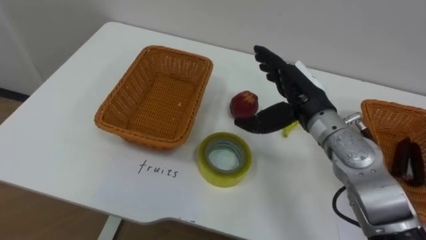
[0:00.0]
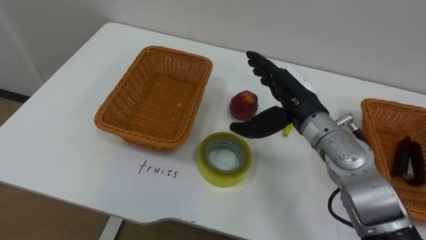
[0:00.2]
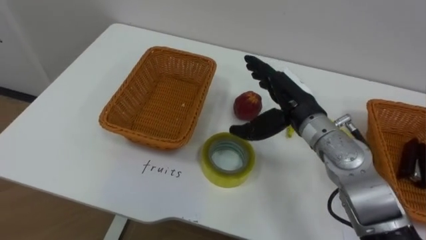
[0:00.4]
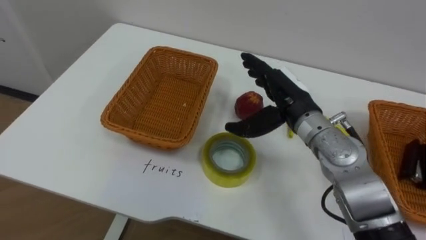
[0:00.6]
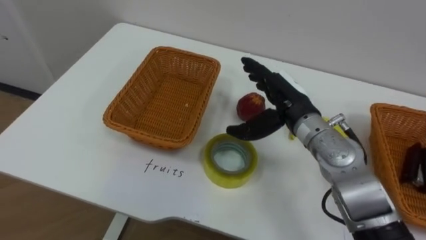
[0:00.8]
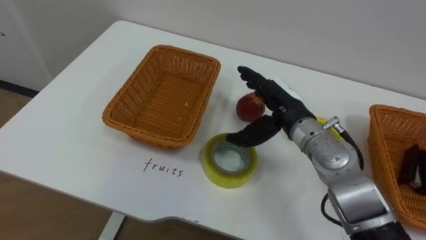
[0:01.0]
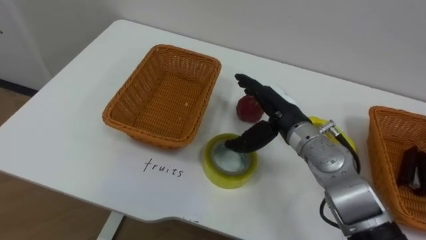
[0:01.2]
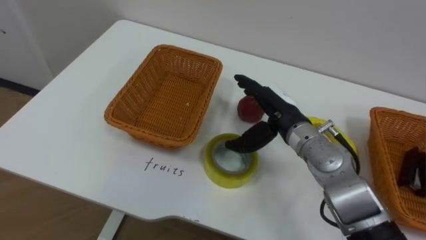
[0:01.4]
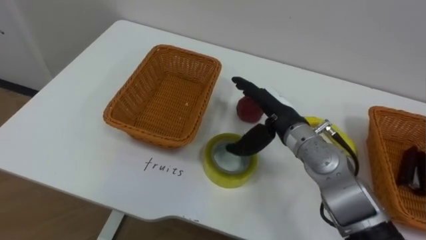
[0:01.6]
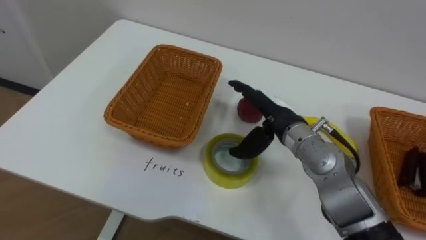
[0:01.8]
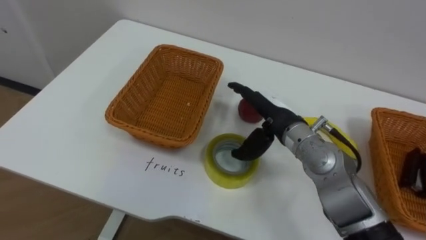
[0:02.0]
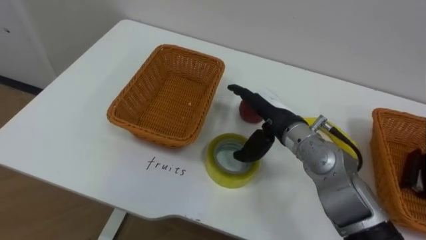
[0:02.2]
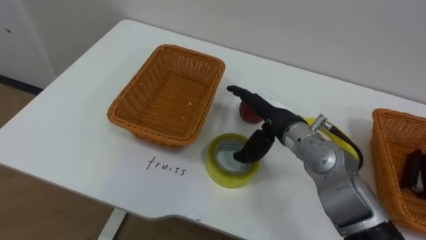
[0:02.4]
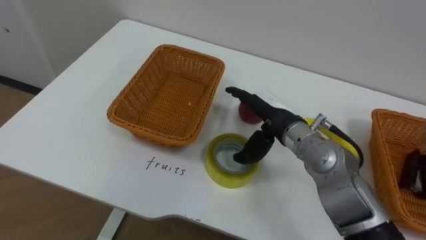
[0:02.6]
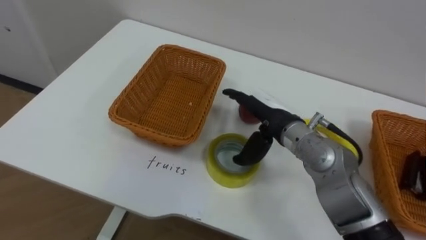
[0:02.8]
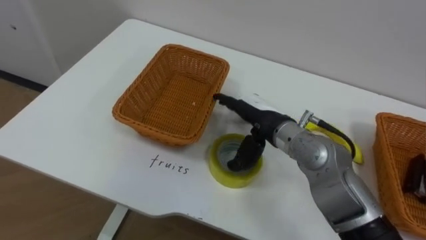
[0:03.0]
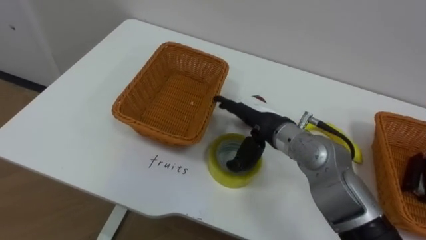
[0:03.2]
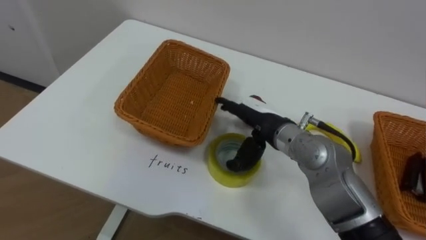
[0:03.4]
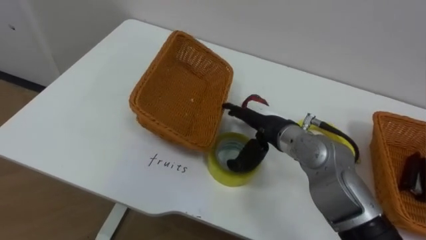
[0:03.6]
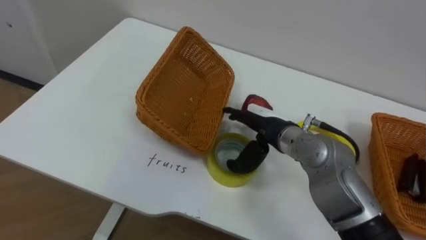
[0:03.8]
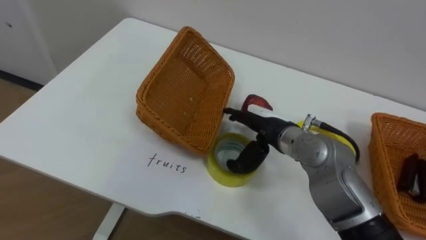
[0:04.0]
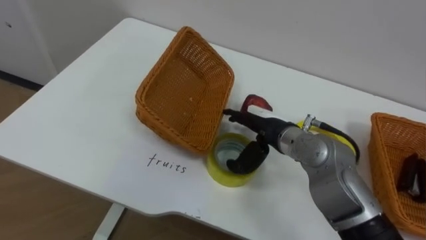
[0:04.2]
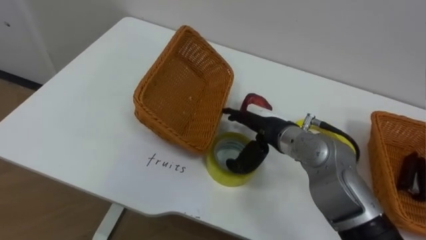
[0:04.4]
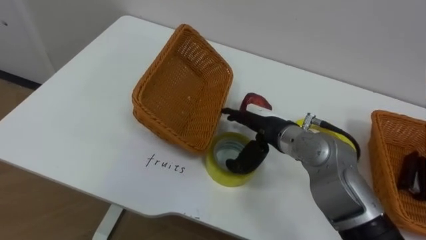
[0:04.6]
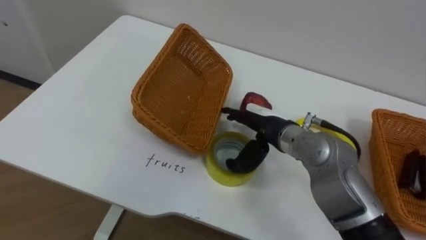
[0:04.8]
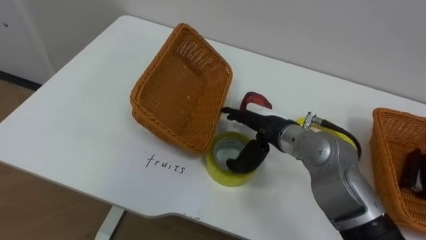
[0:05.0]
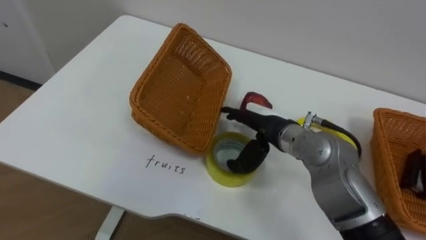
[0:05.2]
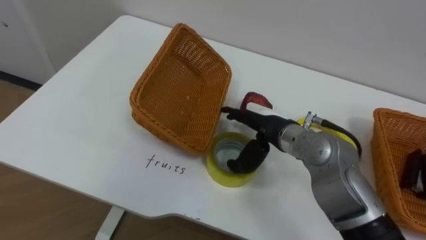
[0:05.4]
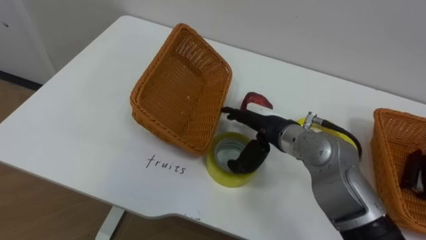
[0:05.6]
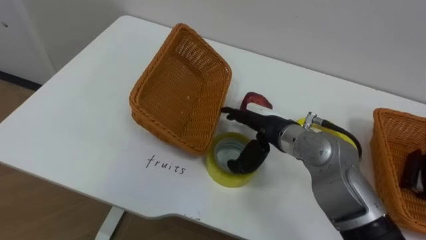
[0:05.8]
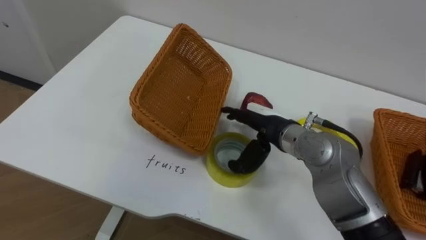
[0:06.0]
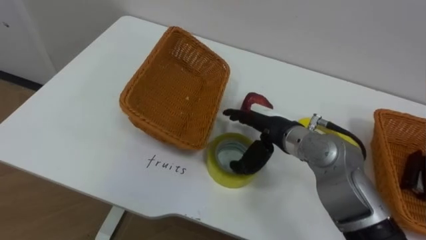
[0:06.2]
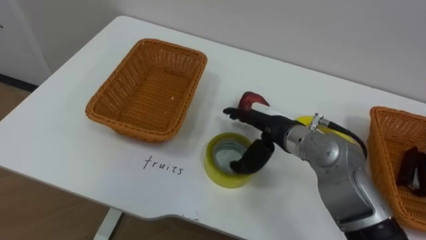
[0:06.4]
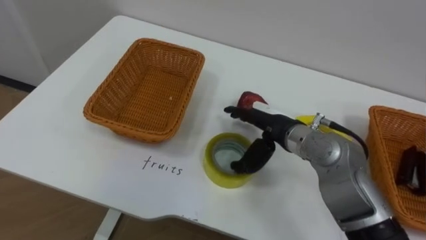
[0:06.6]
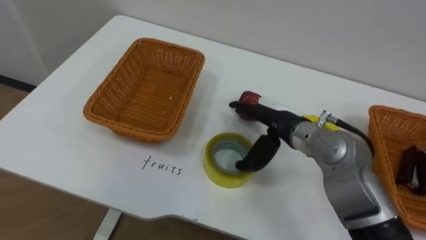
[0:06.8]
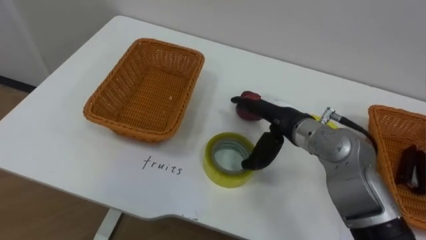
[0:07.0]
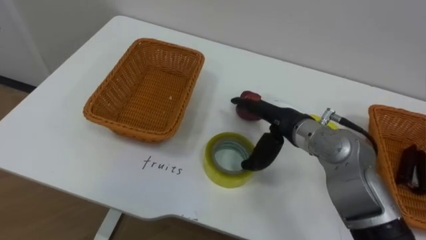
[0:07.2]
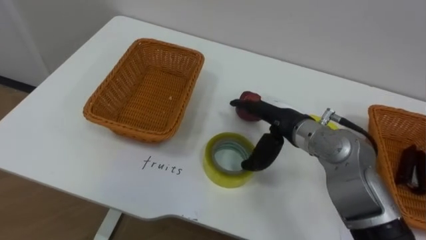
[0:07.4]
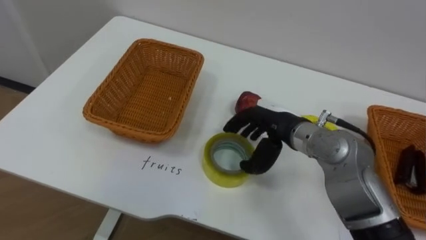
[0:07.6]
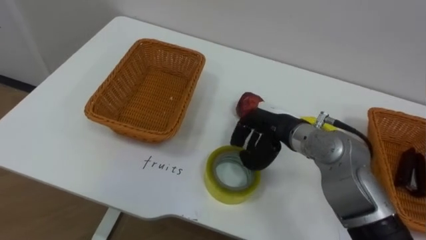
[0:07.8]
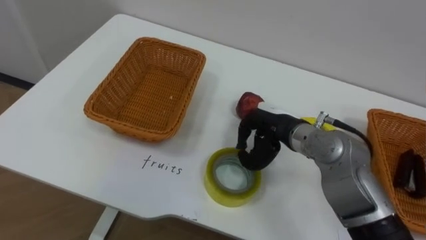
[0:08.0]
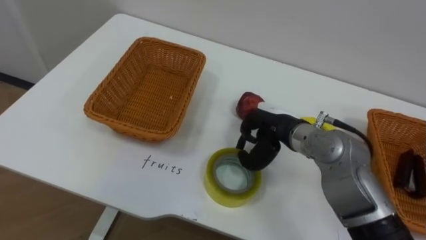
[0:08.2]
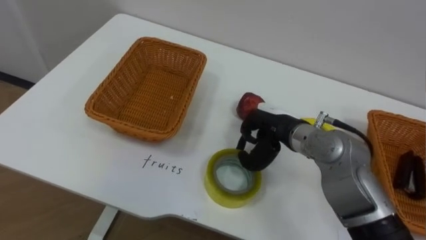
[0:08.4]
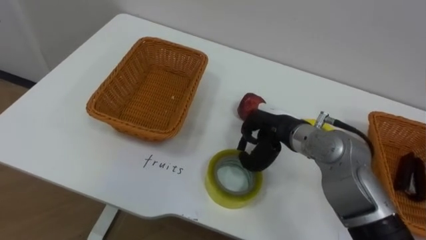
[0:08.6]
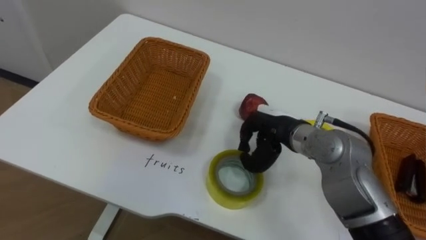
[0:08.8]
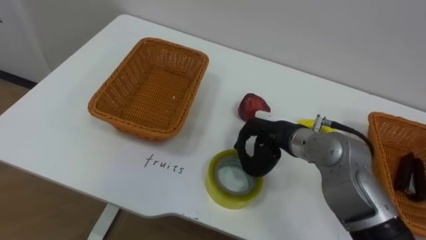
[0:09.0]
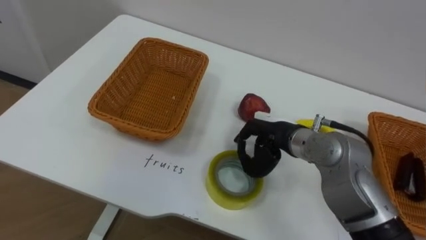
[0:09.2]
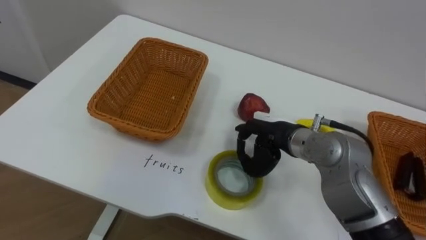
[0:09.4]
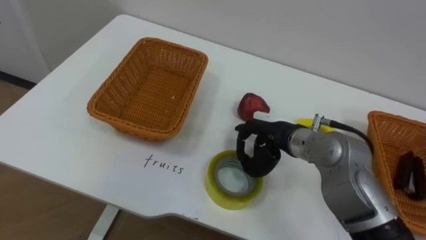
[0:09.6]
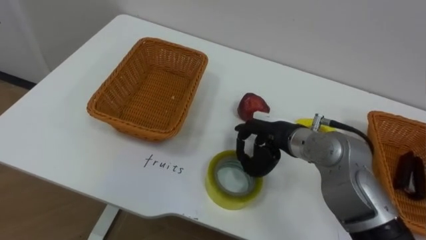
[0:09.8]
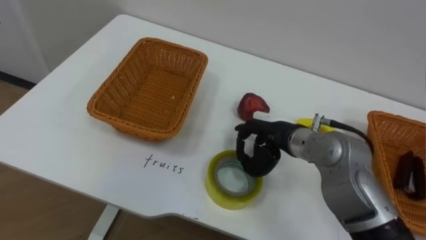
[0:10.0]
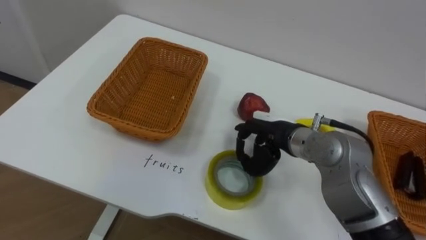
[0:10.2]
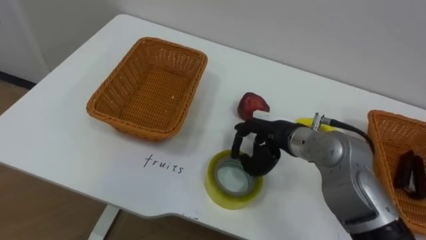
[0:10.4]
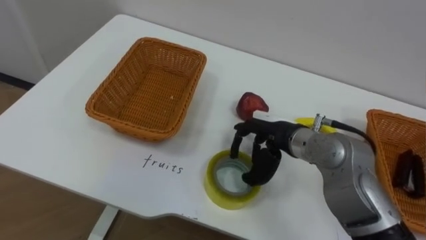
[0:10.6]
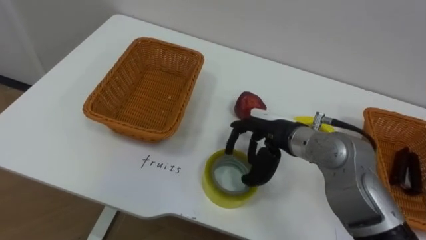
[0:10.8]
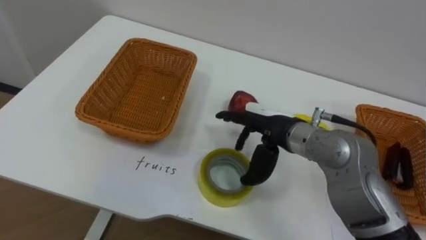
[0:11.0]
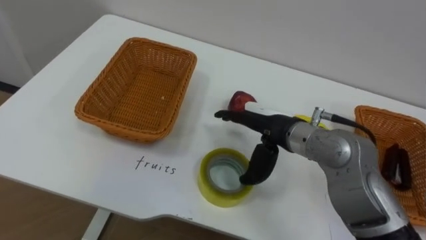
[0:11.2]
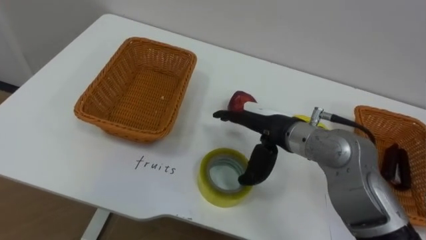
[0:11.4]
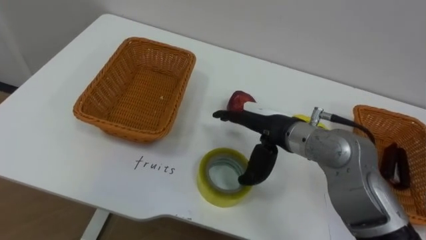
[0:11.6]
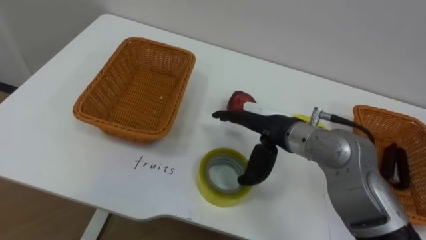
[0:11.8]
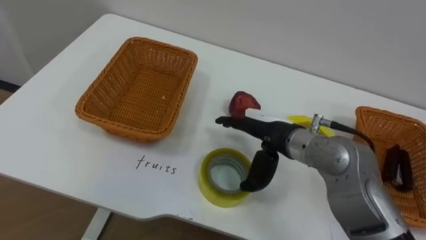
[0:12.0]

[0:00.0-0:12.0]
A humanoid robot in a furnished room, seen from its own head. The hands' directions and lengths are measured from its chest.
Task of the whole recording: Separate the items on the table and place them into the two baskets.
0:00.0 to 0:01.6: The right hand moves some 5 cm.
0:09.0 to 0:10.4: The right hand opens.

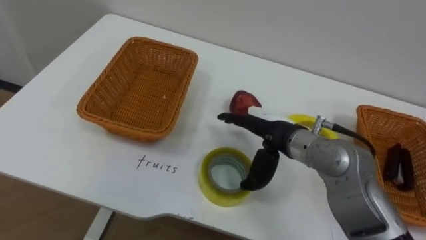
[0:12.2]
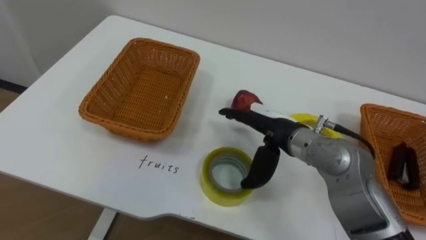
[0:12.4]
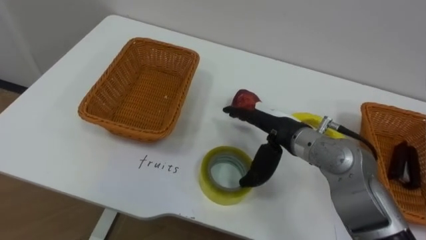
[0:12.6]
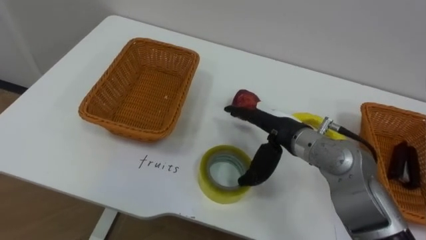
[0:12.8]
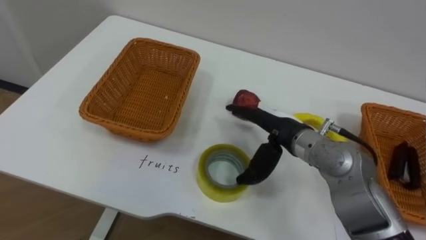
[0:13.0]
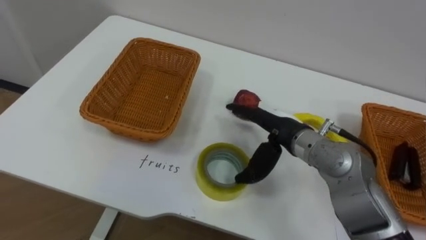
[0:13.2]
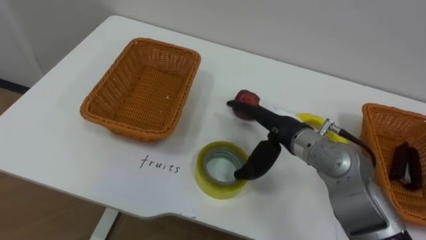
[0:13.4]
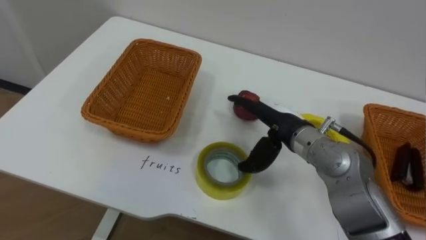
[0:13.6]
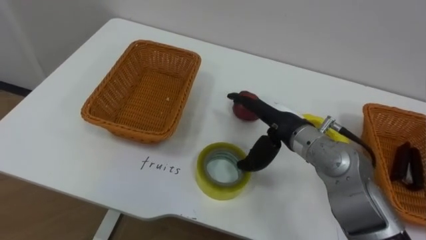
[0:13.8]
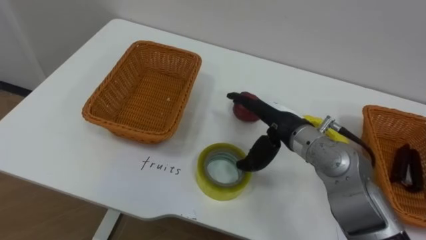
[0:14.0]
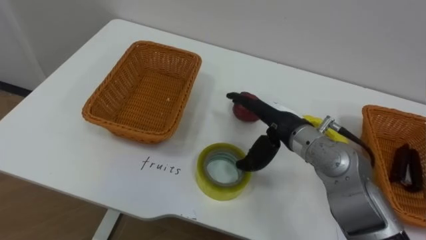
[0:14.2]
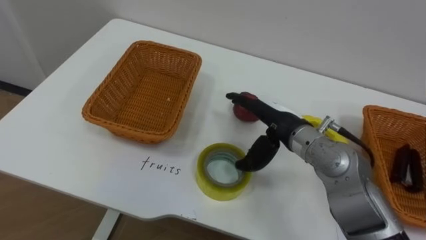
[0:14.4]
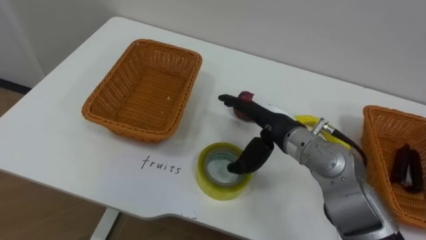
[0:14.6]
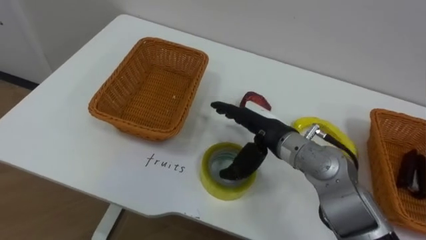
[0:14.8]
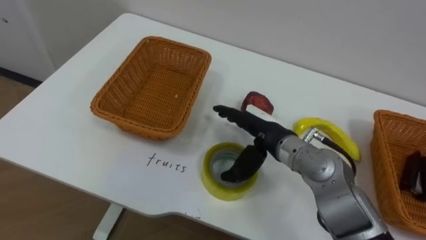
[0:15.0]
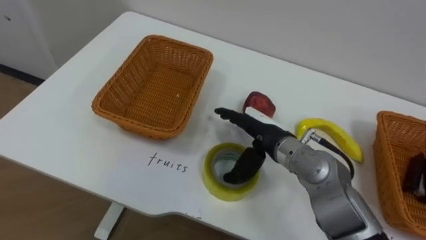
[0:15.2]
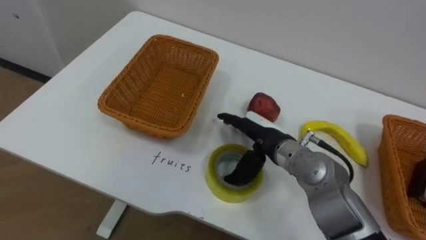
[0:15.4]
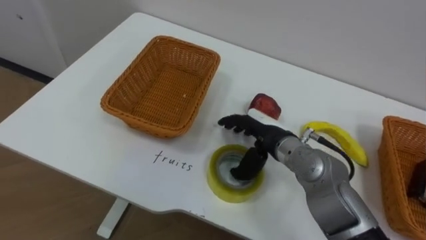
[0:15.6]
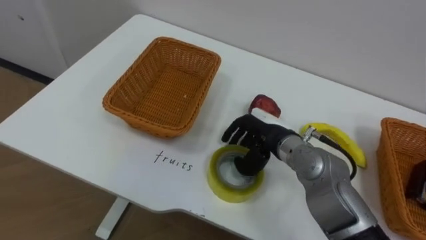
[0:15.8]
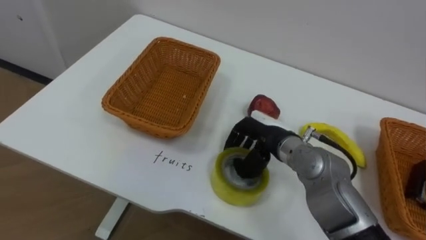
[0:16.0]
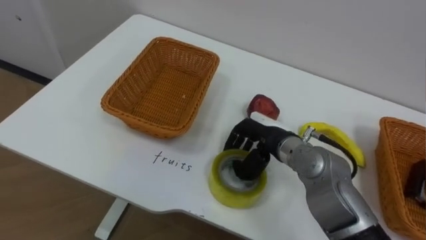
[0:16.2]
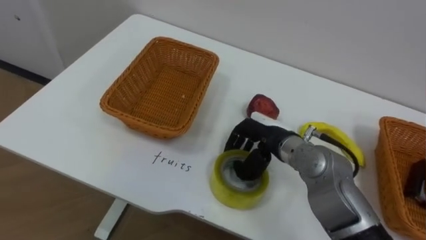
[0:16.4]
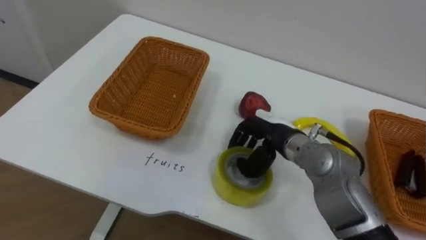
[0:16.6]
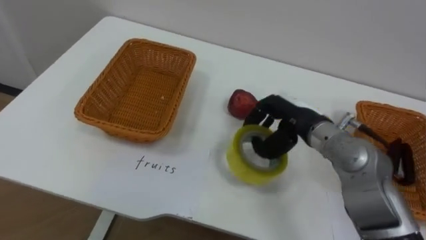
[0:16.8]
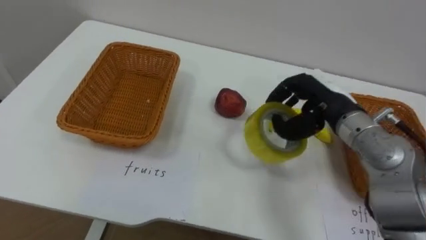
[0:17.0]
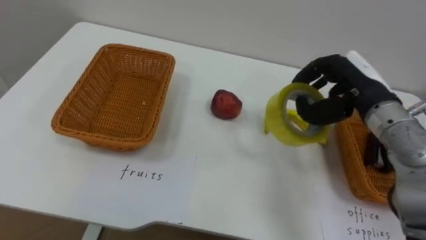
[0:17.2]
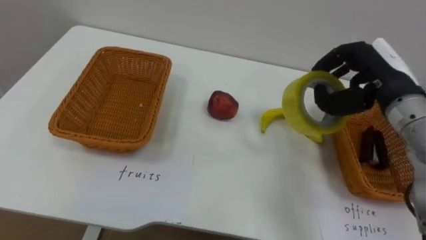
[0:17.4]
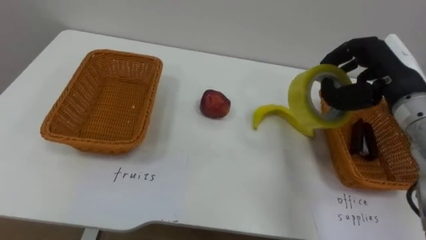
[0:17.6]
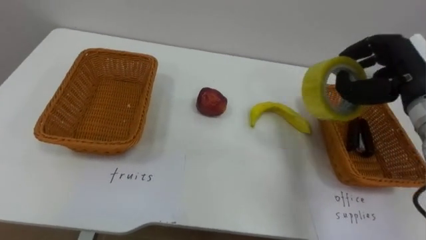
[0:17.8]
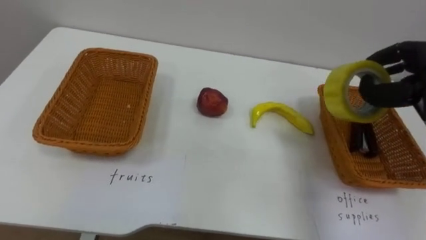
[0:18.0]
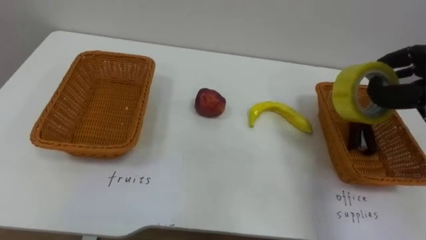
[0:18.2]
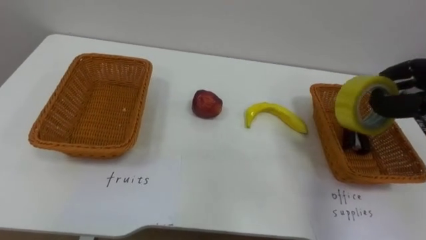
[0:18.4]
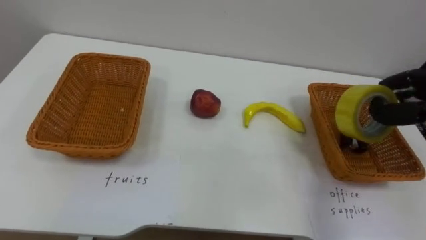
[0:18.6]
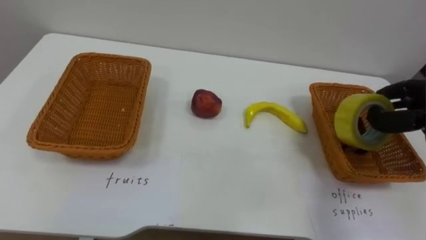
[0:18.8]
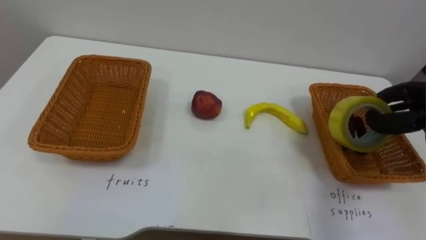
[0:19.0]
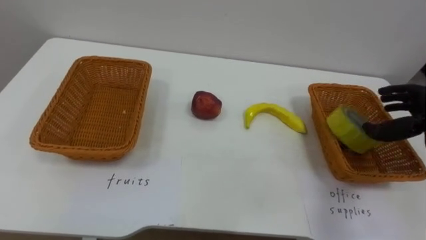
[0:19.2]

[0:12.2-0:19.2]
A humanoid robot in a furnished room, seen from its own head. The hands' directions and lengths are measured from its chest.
Task of the whole recording: Separate the items on the table and place them into the two baskets.
0:15.0 to 0:16.4: The right hand closes up.
0:16.4 to 0:17.8: The right hand travels to the right and upward by some 25 cm.
